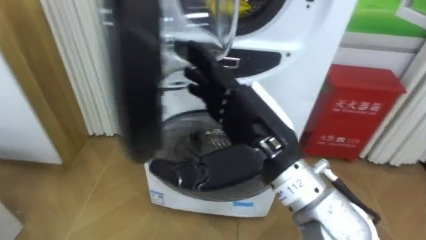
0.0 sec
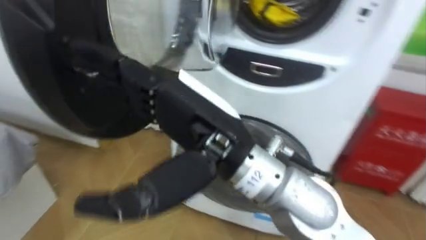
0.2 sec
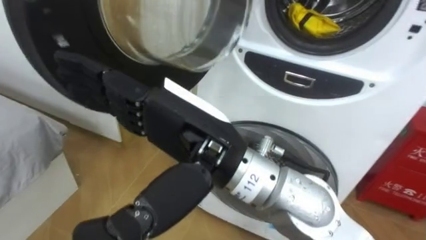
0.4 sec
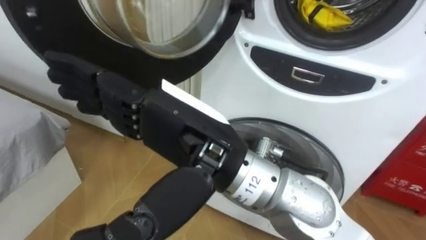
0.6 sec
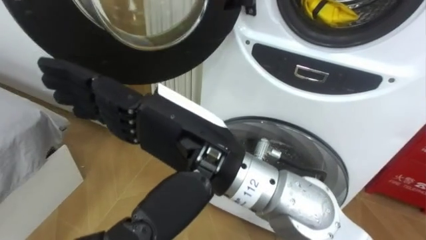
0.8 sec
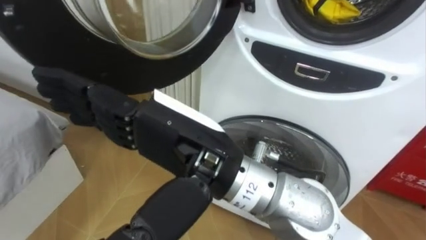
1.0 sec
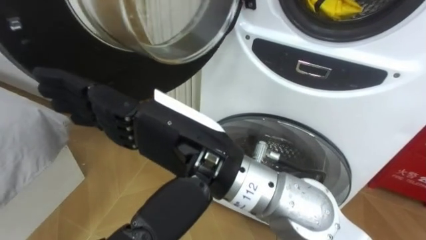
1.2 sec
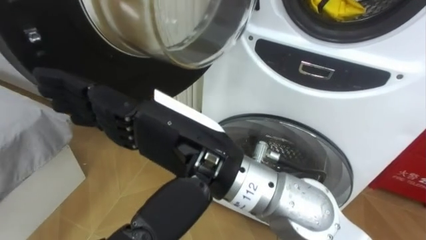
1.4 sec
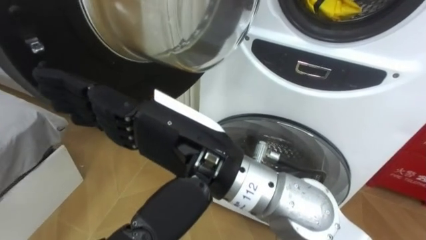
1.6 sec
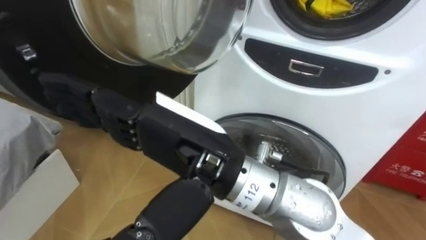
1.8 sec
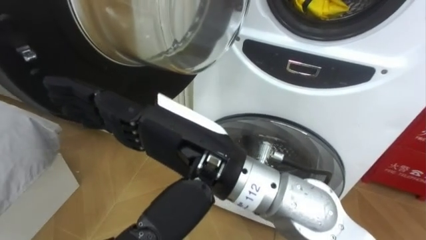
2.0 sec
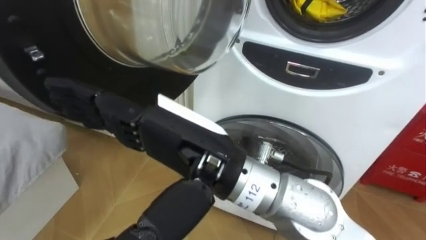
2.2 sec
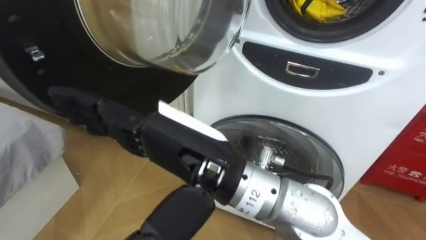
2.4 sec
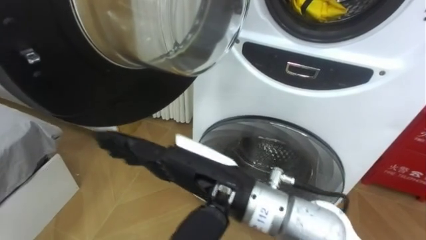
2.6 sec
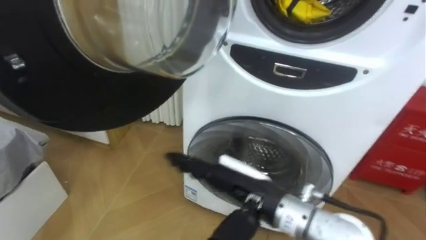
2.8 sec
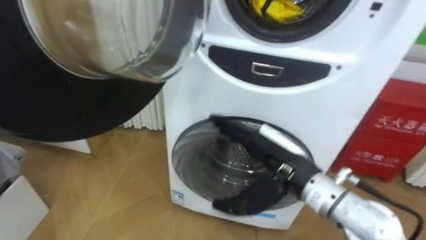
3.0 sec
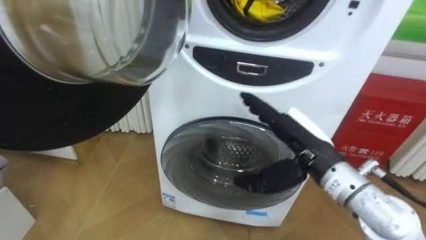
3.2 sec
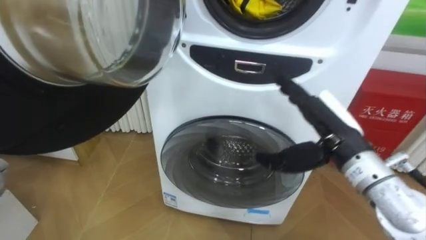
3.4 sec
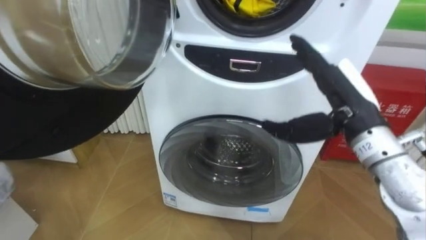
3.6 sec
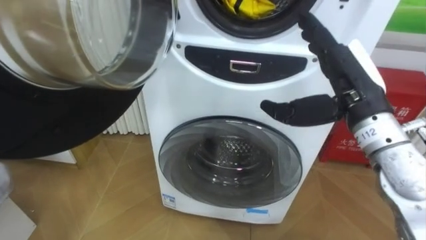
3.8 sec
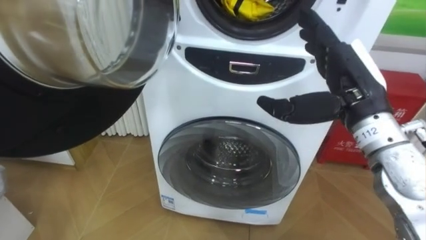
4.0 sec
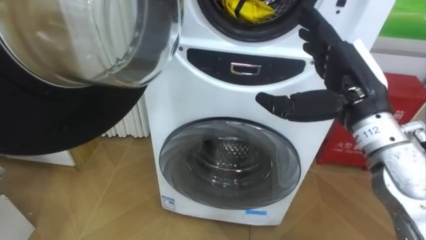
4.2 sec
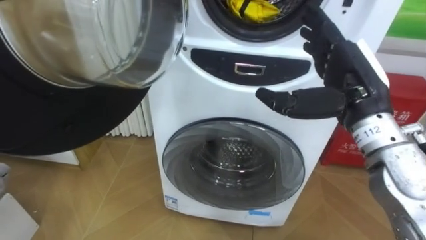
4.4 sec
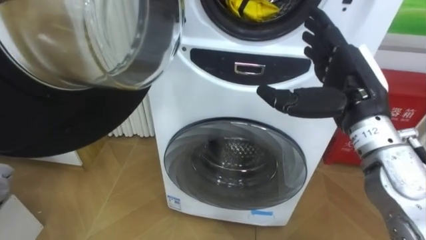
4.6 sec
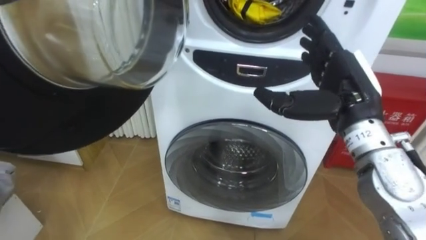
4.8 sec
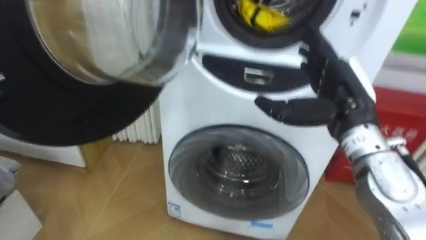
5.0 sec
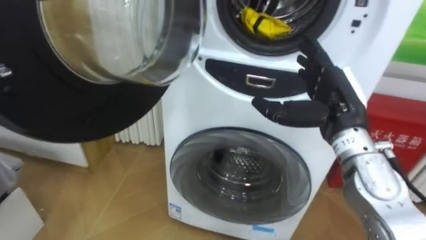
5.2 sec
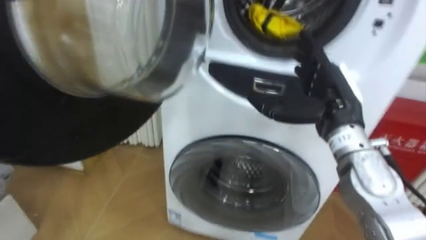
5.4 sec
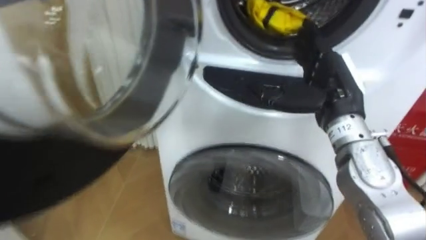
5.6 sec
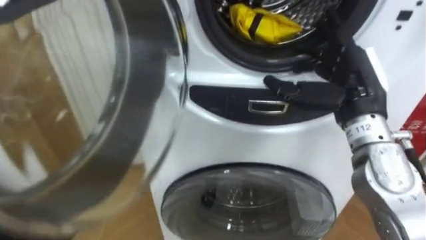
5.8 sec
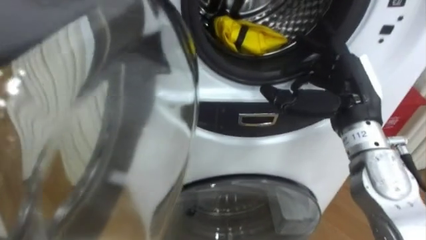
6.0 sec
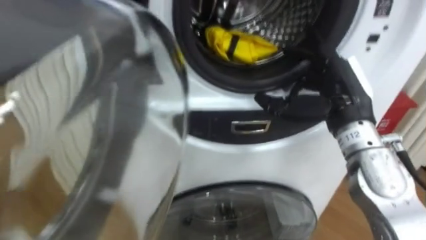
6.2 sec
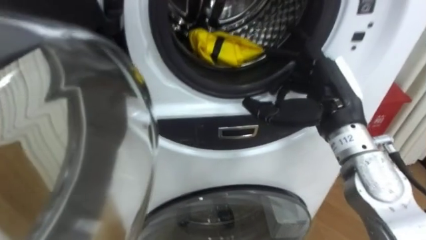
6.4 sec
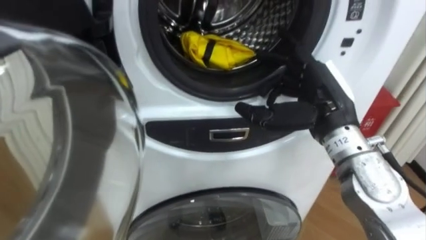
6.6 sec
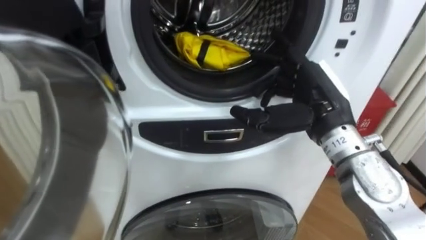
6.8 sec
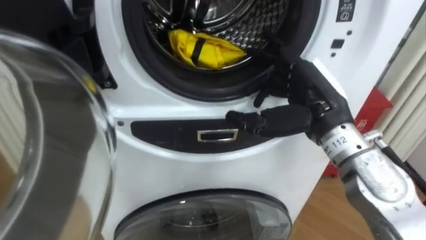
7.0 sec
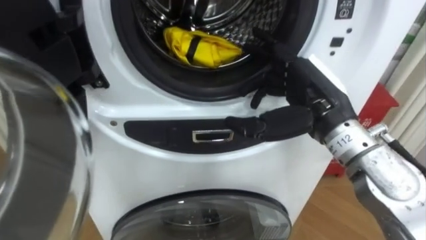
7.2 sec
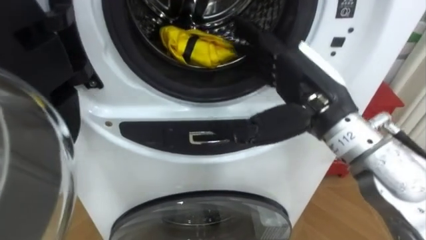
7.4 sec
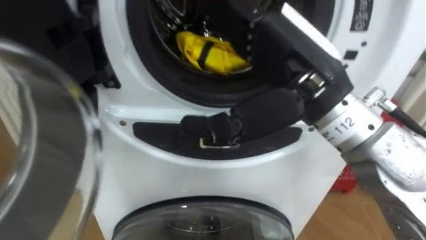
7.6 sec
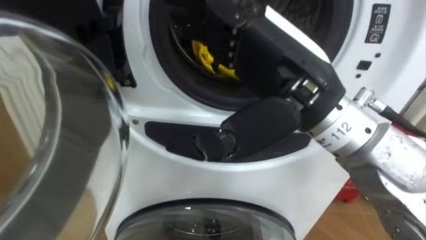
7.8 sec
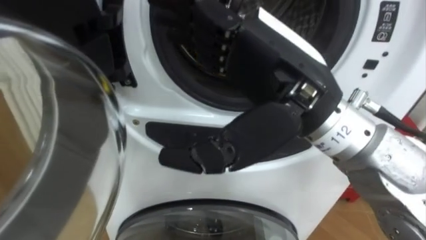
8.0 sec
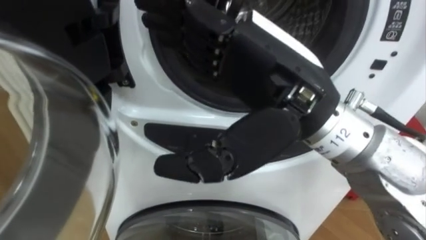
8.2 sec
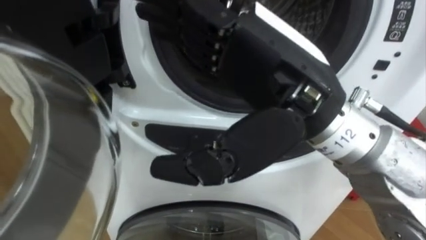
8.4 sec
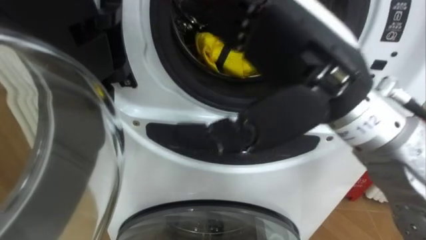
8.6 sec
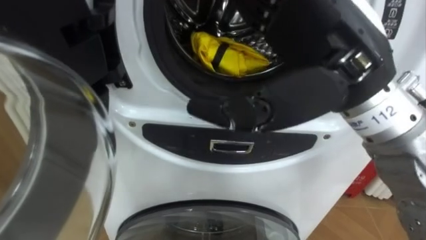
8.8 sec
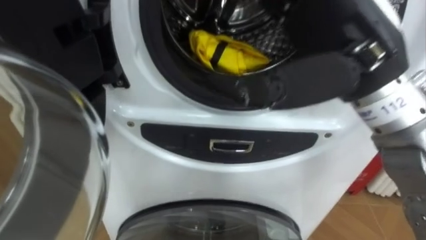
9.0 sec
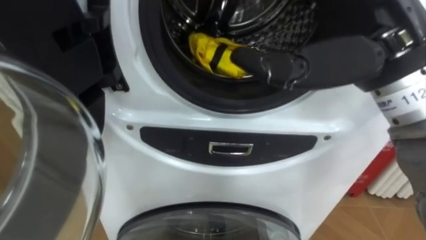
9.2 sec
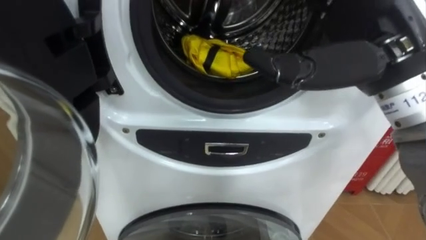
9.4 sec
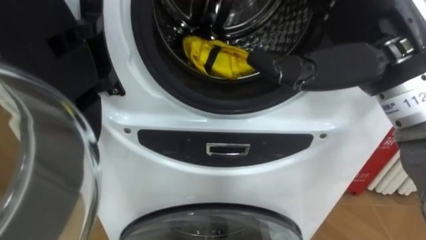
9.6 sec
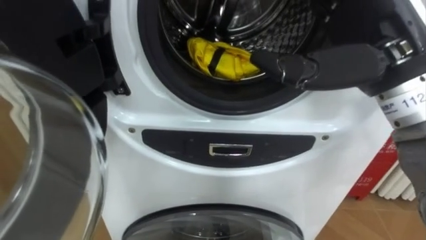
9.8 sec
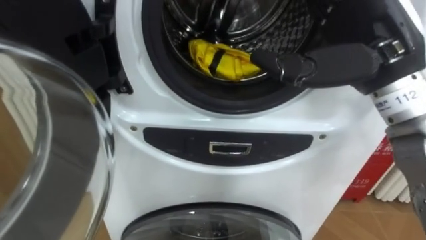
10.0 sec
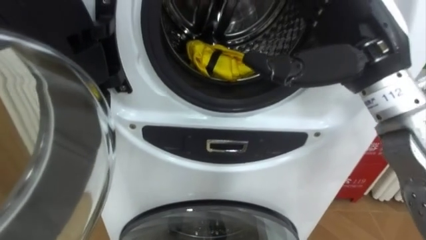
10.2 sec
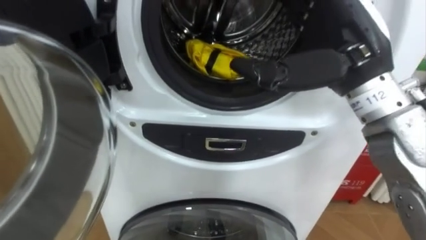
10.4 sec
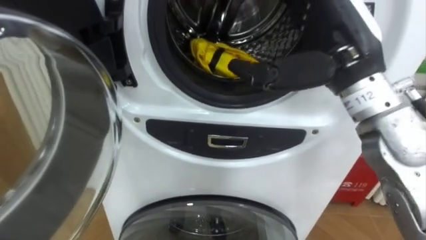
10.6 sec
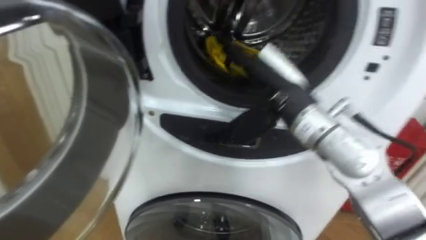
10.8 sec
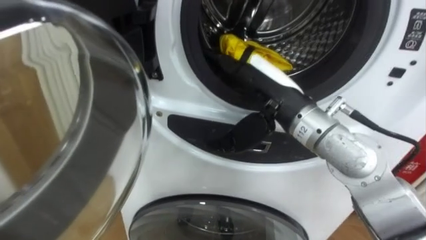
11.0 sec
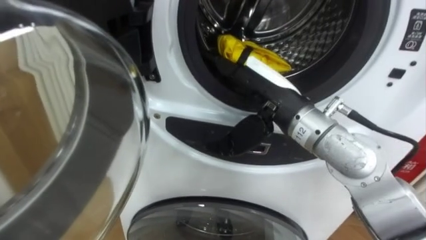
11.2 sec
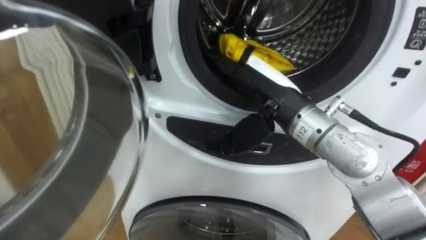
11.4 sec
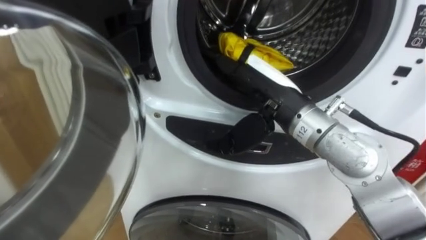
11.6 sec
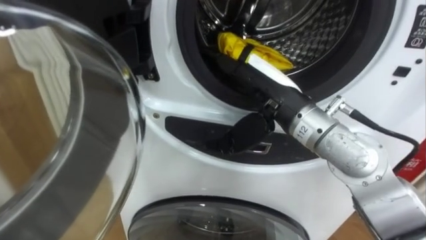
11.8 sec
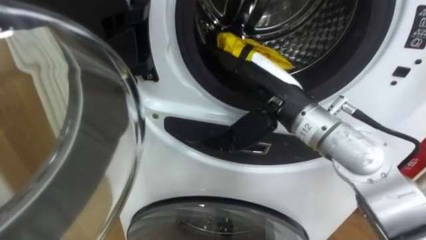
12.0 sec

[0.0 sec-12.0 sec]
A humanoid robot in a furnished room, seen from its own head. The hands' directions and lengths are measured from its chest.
Task of the whole recording: Open the washing machine door, take out the yellow clothes, place them in the box on the right, and close the washing machine door.
0.0 sec to 1.6 sec: The right hand is displaced to the left by some 10 cm.
1.6 sec to 3.0 sec: The right hand is displaced downward, to the right and forward by about 20 cm.
3.0 sec to 4.4 sec: The right hand goes roughly 15 cm upward and to the right.
6.0 sec to 7.6 sec: The right hand travels to the left, upward and backward by roughly 15 cm.
9.0 sec to 10.4 sec: The right hand heads forward, covering about 5 cm.
10.4 sec to 12.0 sec: The right hand moves downward and to the left, approximately 10 cm.

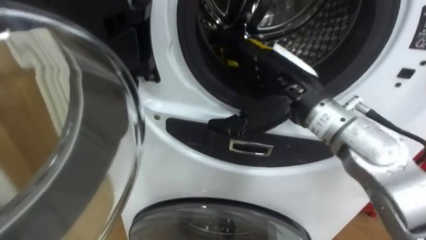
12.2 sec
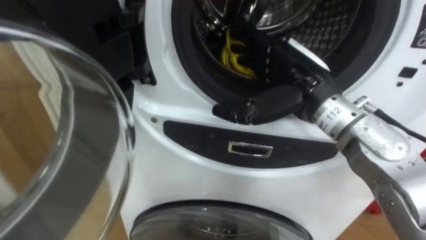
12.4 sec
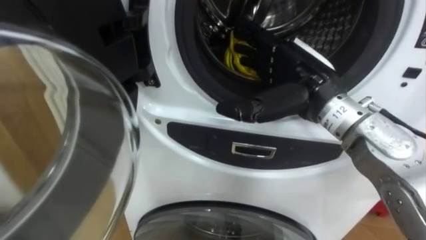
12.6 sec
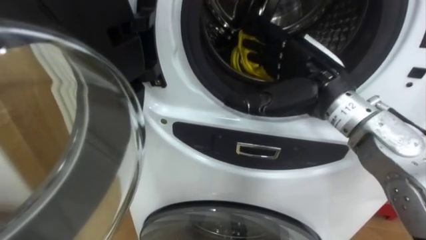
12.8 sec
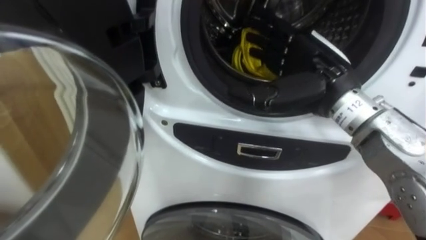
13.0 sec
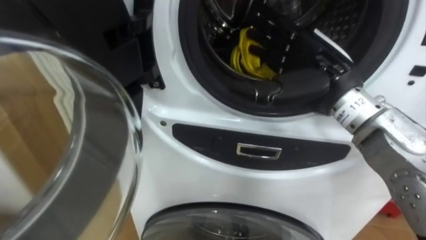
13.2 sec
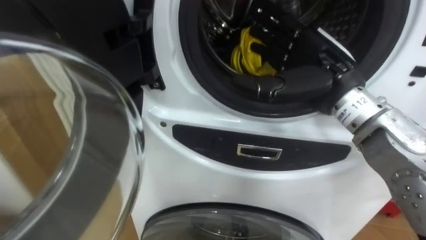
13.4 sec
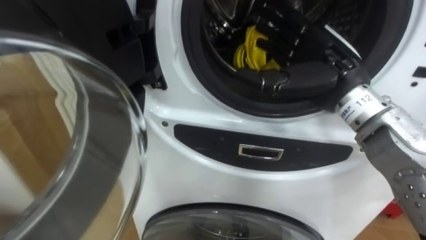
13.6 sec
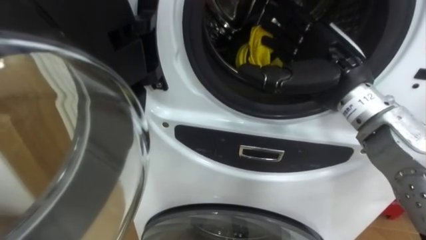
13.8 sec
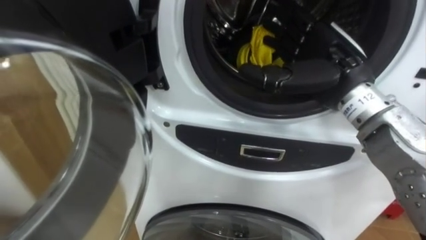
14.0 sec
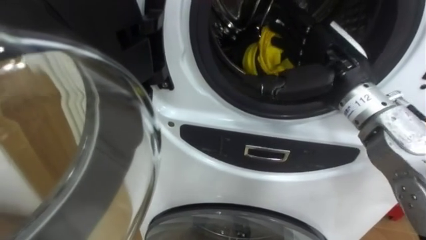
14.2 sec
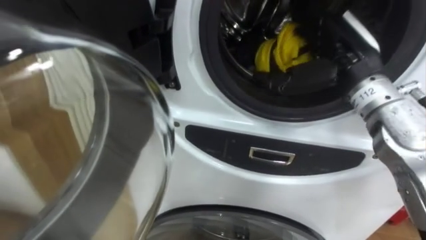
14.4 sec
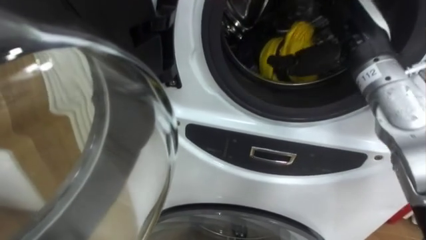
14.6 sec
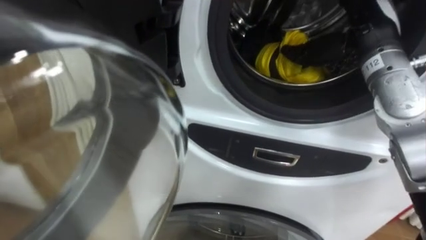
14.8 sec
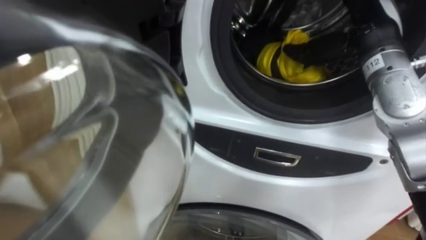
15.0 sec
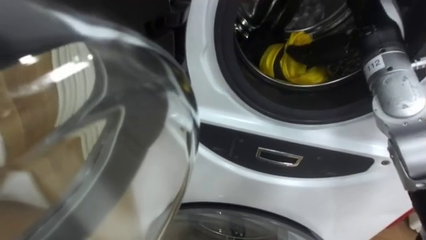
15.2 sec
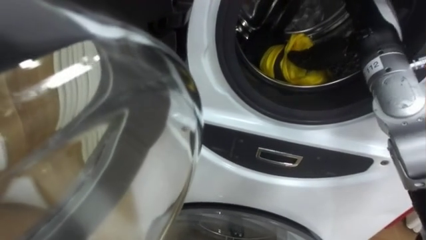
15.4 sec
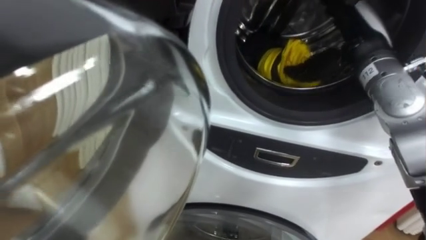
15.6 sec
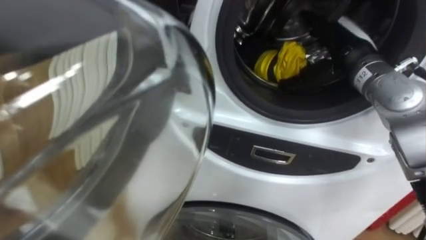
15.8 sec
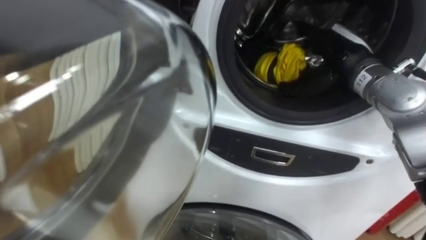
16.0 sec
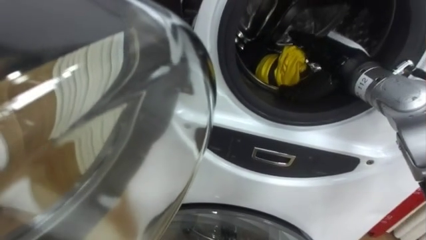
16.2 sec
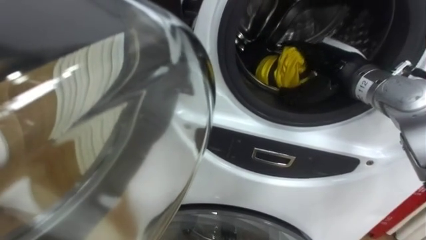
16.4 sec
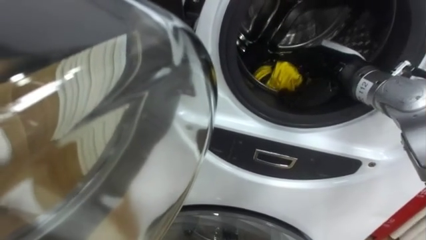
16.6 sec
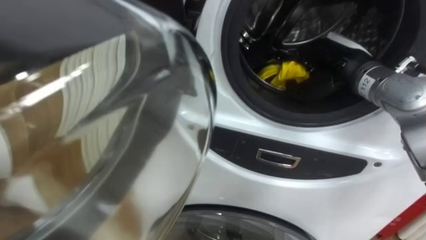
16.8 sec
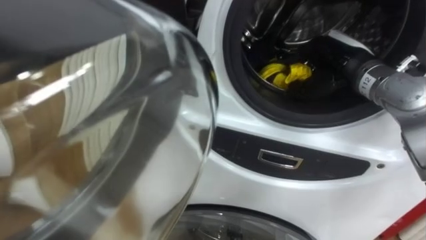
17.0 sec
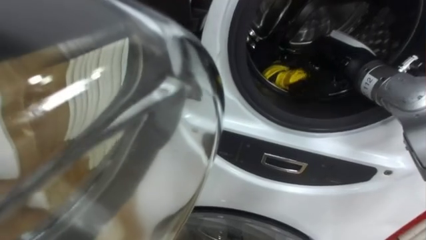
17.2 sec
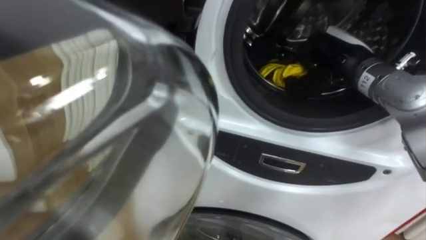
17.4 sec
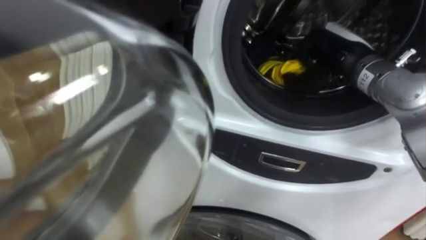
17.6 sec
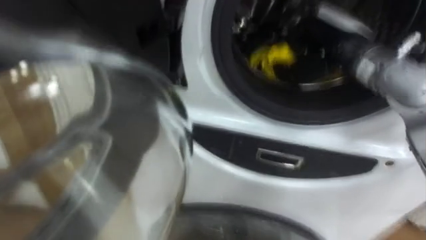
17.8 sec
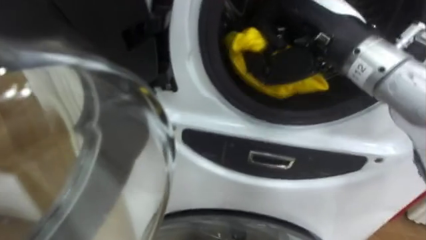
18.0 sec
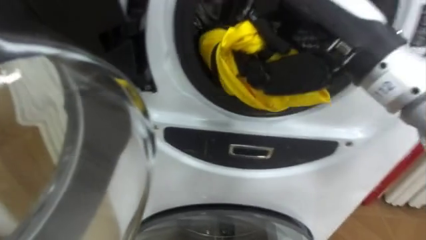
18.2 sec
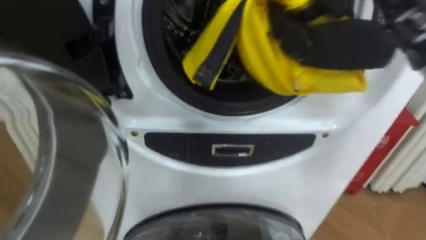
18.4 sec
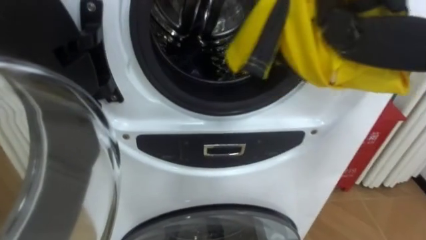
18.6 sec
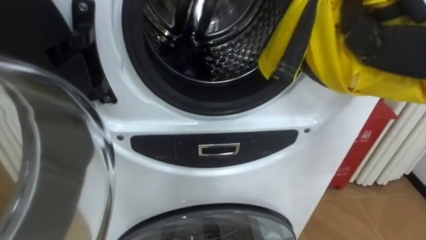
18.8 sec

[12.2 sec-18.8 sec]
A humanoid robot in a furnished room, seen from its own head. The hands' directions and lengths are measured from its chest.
Task of the whole recording: Open the washing machine door, take out the yellow clothes, place them in the box on the right, and close the washing machine door.
12.2 sec to 13.8 sec: The right hand moves to the right, approximately 5 cm.
13.8 sec to 15.4 sec: The right hand shifts about 5 cm to the right.
15.4 sec to 17.2 sec: The right hand shifts some 5 cm downward, and closes.
